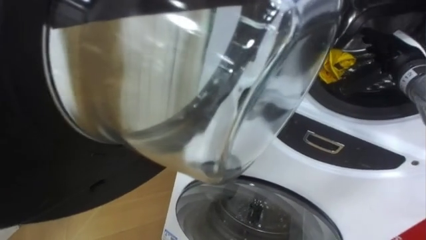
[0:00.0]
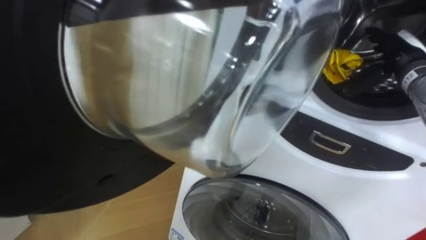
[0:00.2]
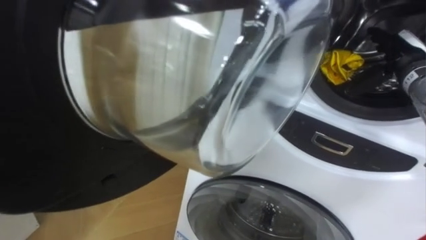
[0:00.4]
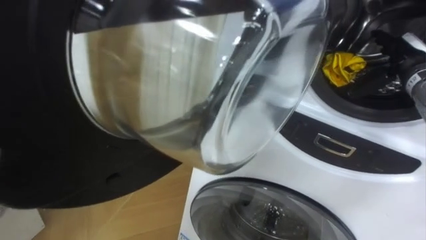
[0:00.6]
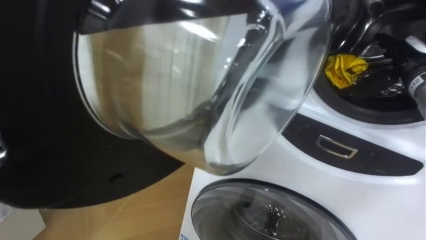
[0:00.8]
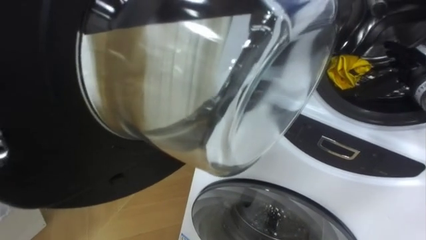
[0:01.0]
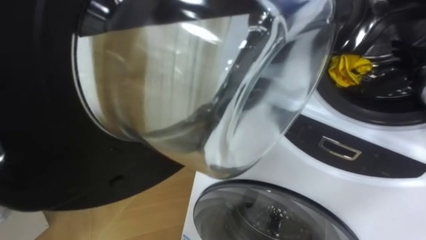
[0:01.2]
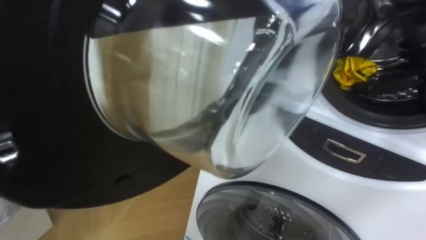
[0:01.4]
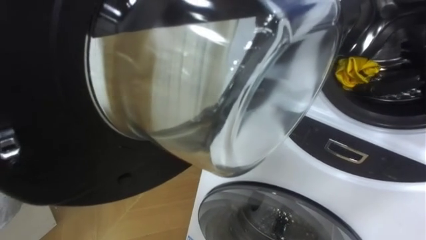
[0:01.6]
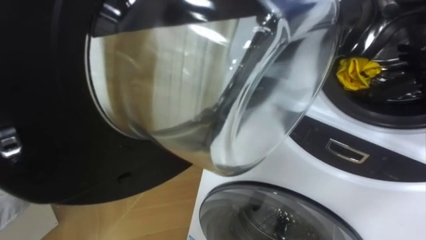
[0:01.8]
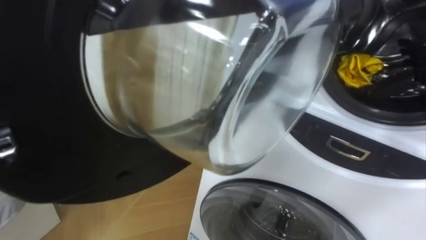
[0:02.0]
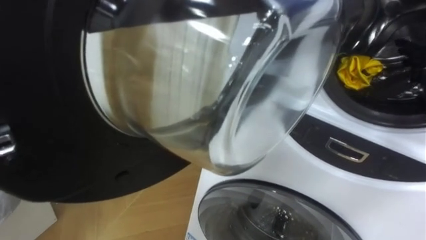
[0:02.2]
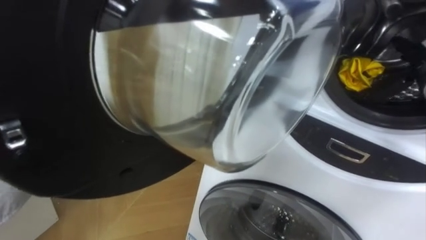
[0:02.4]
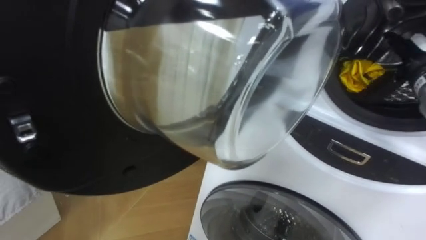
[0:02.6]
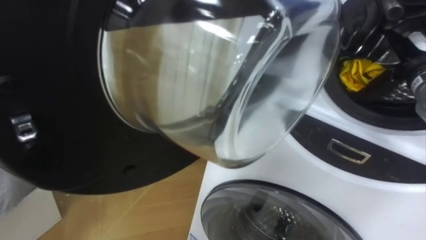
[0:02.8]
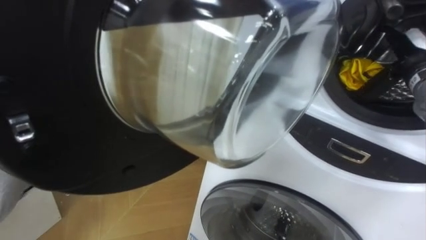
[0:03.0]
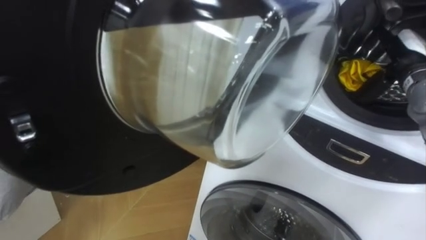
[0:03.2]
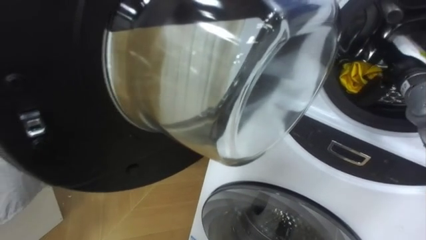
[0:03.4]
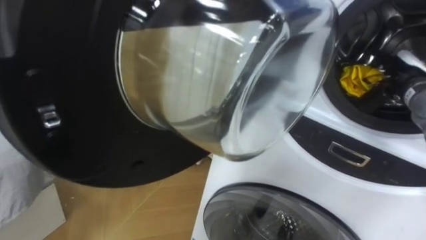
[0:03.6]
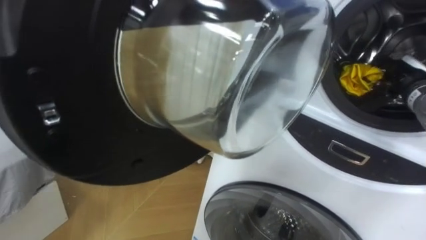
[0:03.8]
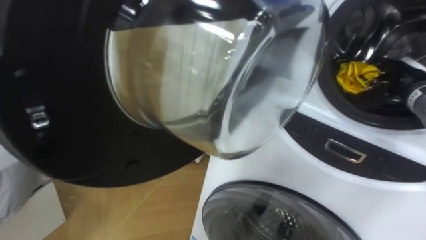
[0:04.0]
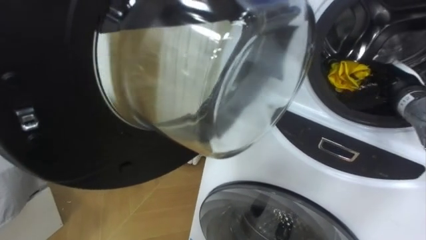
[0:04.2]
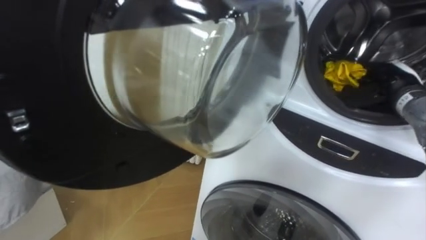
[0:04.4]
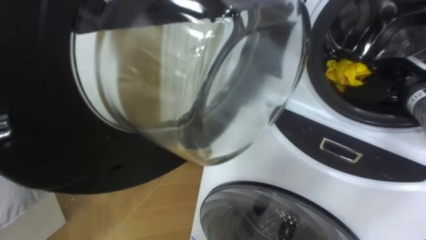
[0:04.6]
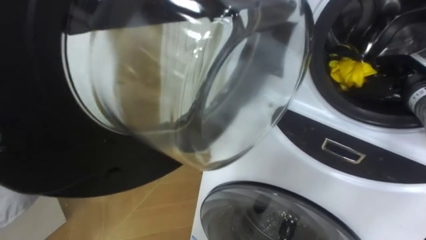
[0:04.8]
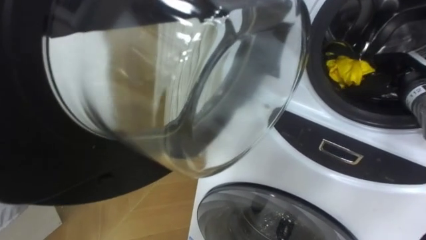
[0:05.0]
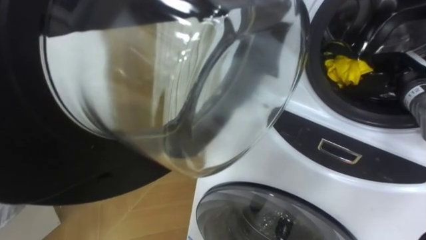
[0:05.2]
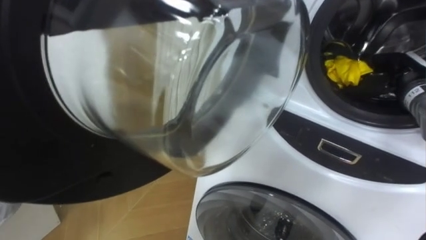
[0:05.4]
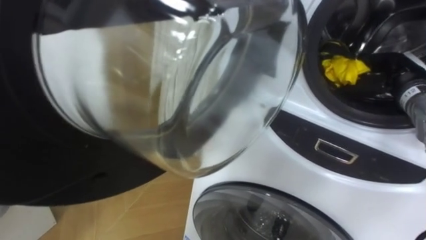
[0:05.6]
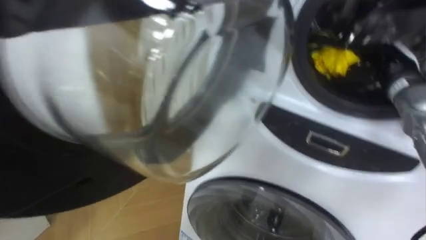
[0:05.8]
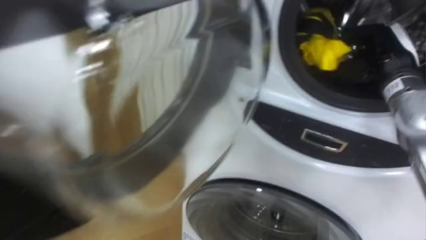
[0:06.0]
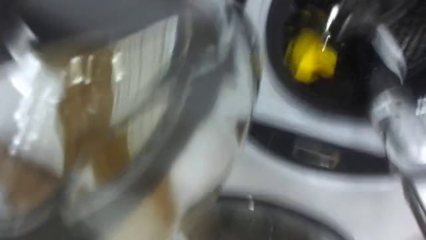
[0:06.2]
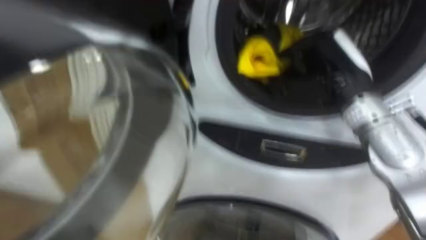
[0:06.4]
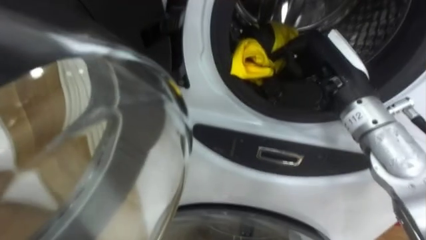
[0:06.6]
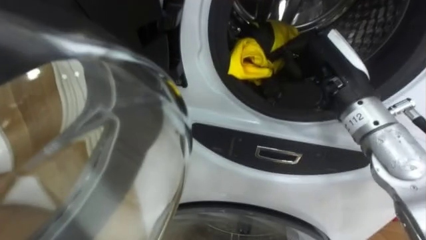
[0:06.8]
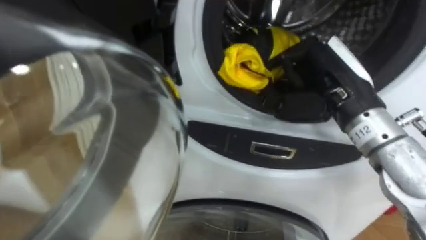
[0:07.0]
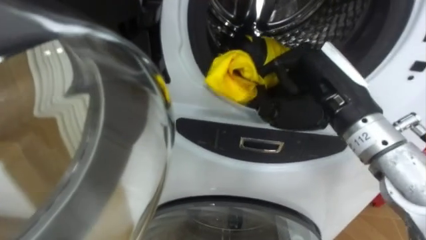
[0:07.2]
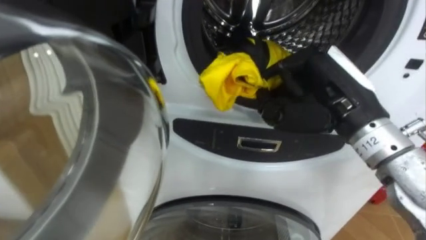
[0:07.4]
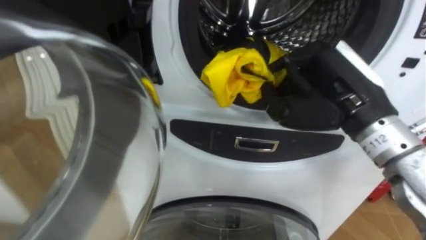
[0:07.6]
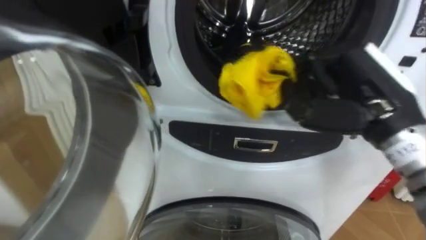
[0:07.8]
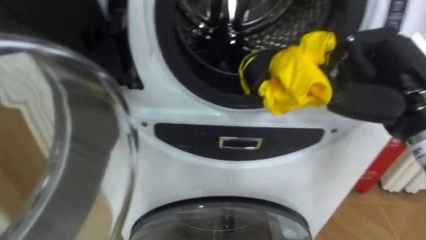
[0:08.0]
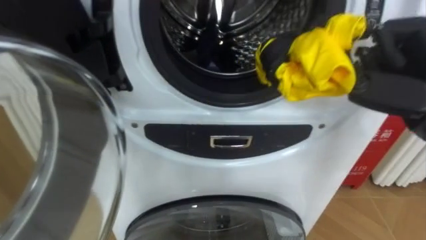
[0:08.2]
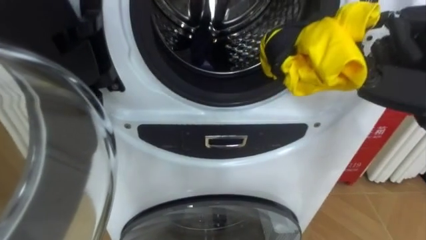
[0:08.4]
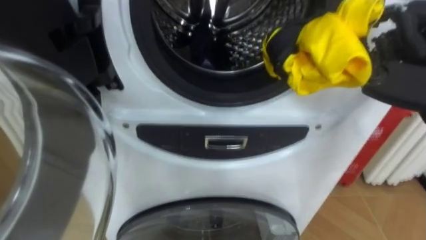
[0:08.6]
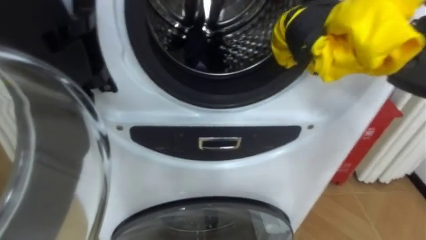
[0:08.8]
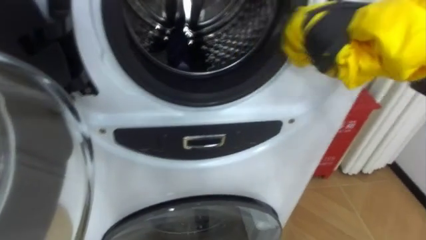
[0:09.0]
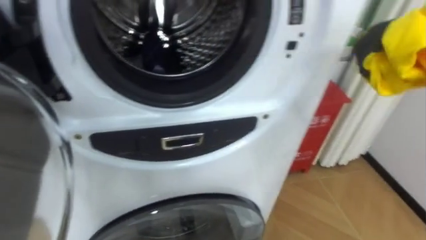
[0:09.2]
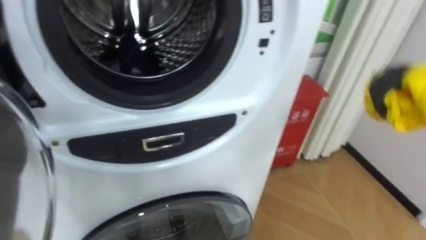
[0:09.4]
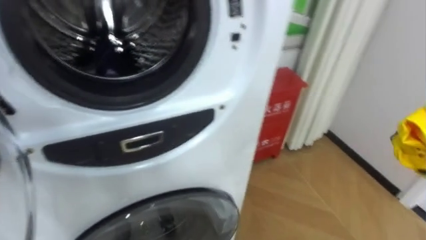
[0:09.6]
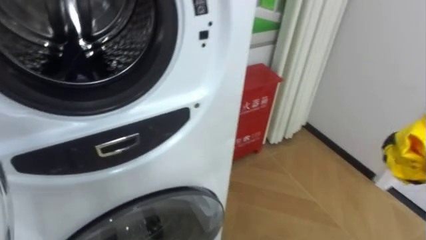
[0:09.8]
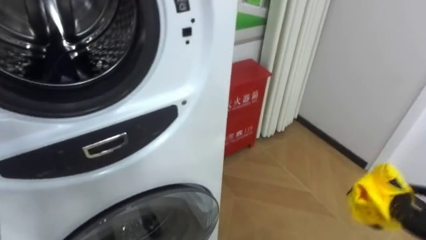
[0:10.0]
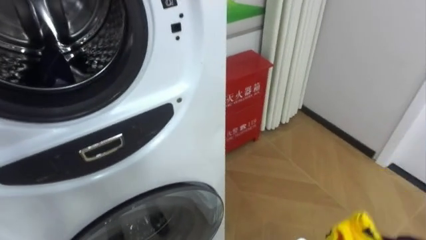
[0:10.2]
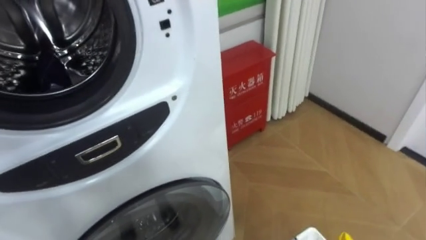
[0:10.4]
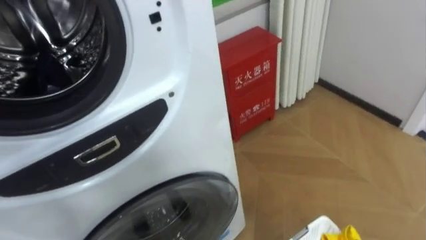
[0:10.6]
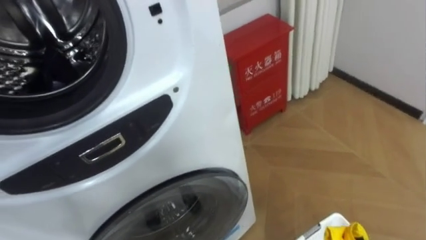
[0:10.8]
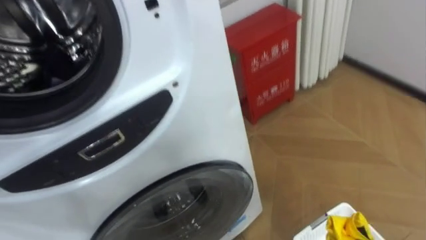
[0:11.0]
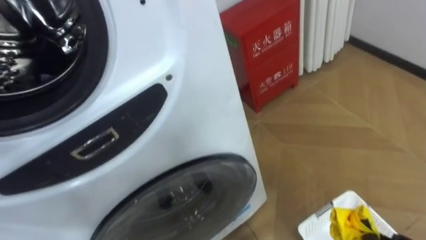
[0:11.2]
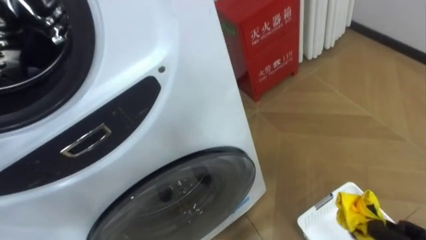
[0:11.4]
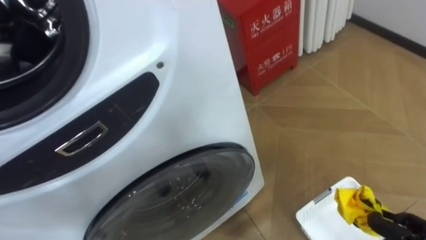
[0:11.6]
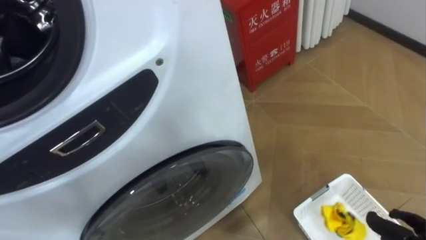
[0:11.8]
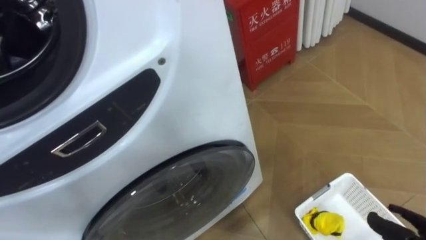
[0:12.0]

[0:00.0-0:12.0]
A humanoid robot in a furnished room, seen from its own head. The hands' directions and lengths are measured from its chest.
Task of the whole recording: Open the washing machine door, take out the yellow clothes, place them in the box on the right, and close the washing machine door.
0:03.0 to 0:04.4: The right hand heads downward, covering some 5 cm.
0:04.4 to 0:06.0: The right hand goes roughly 5 cm upward, and closes its fingers.
0:06.0 to 0:07.6: The right hand travels backward and to the left by about 15 cm.
0:09.0 to 0:10.4: The robot's body swings some 20 degrees to its right.

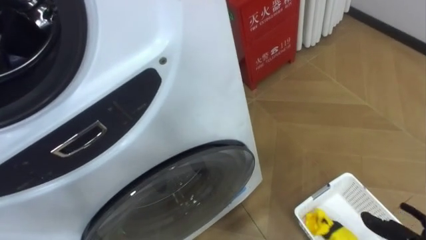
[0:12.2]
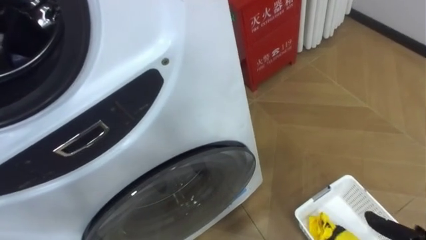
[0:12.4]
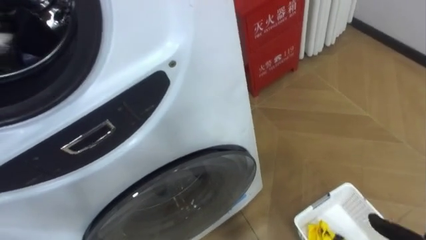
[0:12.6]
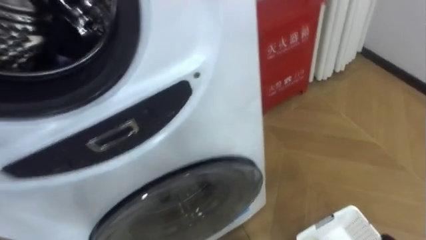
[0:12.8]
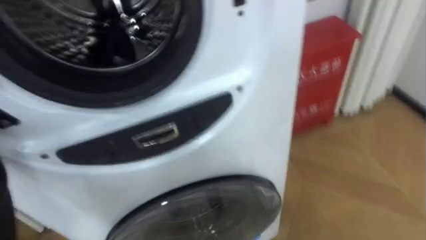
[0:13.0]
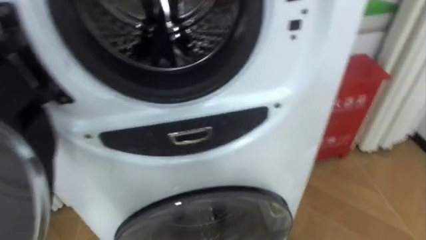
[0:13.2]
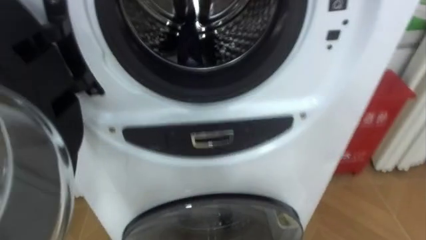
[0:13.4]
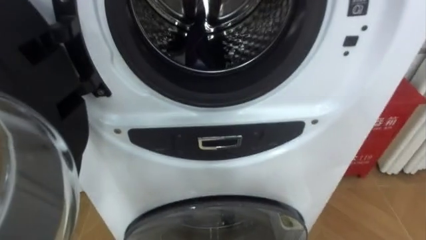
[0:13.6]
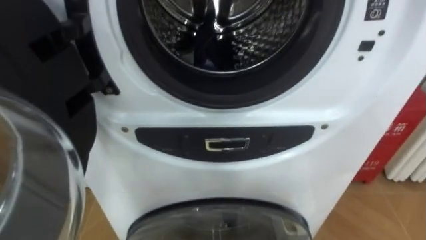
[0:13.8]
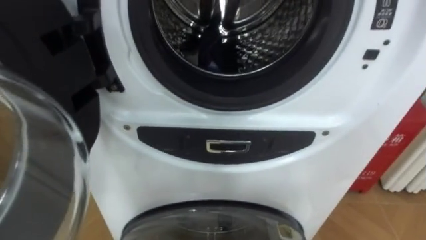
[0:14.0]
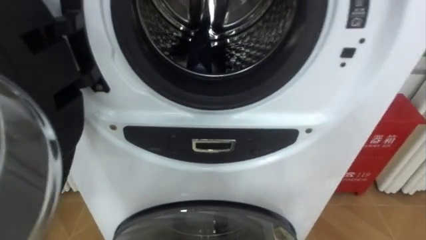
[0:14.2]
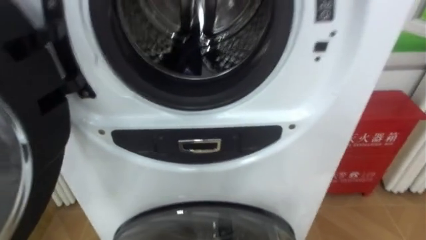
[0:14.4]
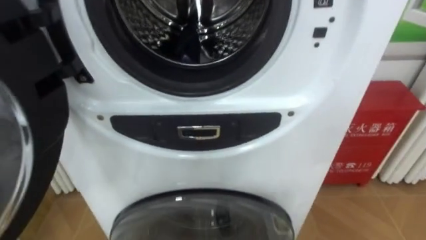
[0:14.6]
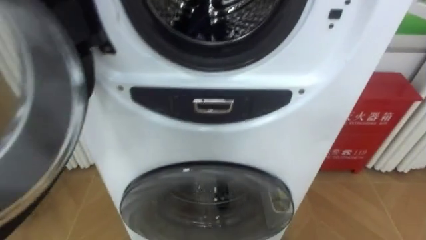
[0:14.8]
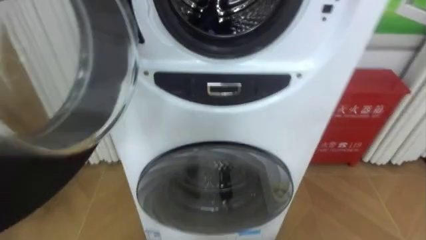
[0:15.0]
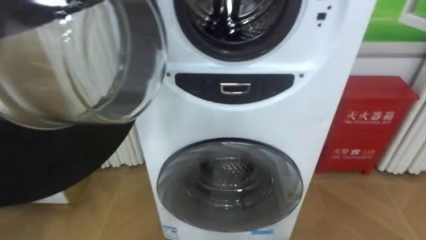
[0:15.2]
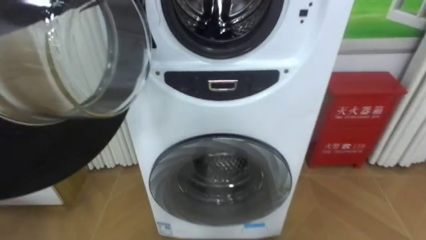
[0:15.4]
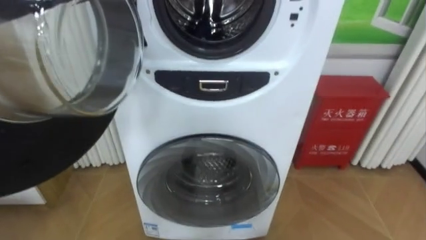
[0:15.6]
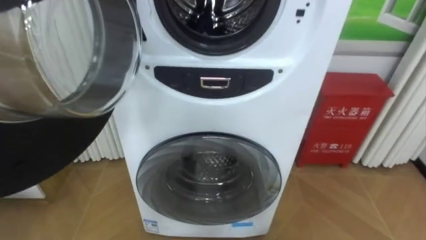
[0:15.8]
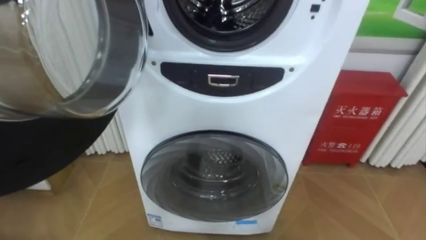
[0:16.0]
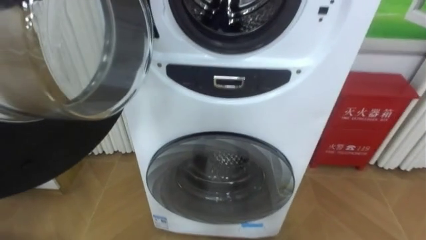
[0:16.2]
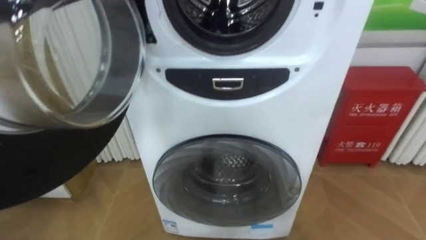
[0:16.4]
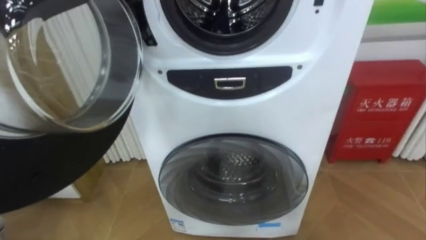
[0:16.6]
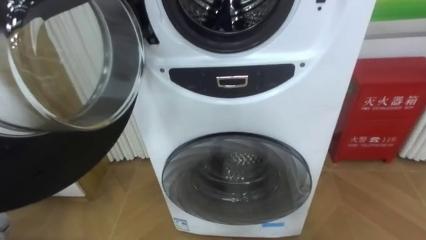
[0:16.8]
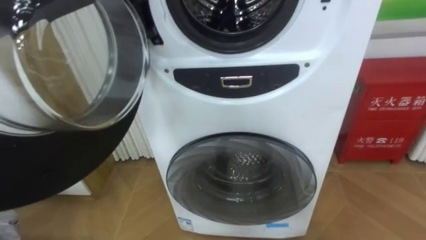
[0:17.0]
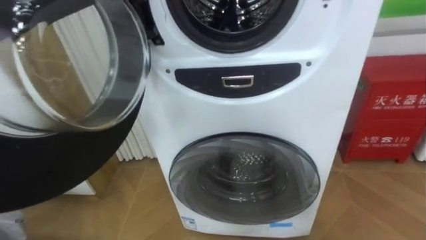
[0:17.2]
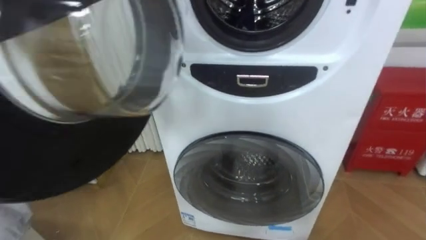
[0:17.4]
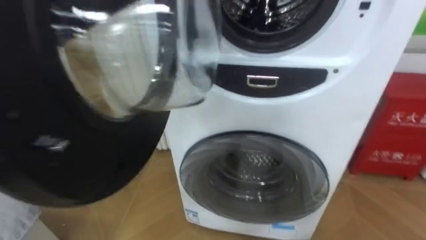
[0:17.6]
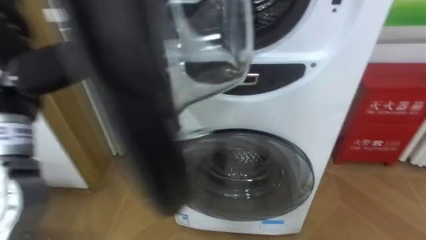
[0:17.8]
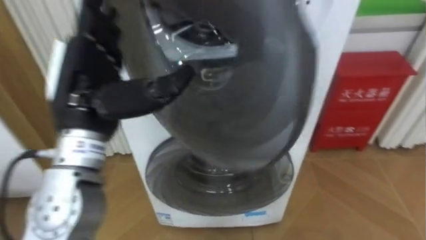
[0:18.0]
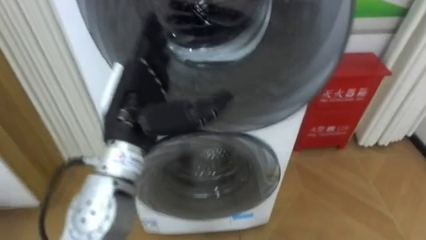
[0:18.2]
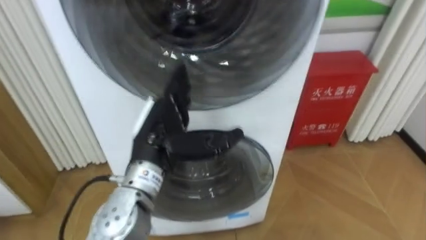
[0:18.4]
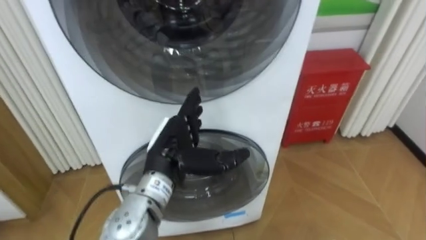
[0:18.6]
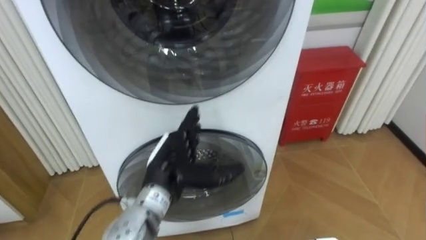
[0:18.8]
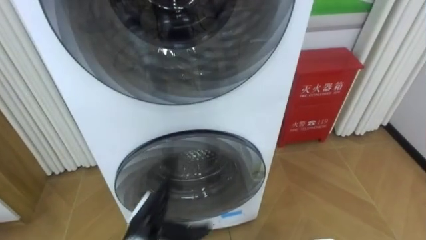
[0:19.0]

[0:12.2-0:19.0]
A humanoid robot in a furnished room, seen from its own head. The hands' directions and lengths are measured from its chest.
Task of the whole recording: Open the washing machine door, take out the yellow clothes, place them in the box on the right, and close the washing machine door.
0:12.2 to 0:13.6: The robot's body swings roughly 20 degrees to its left.
